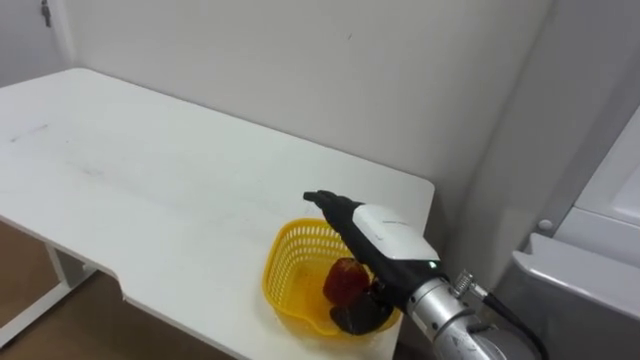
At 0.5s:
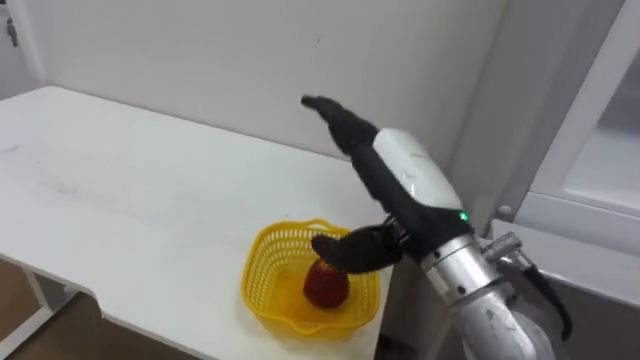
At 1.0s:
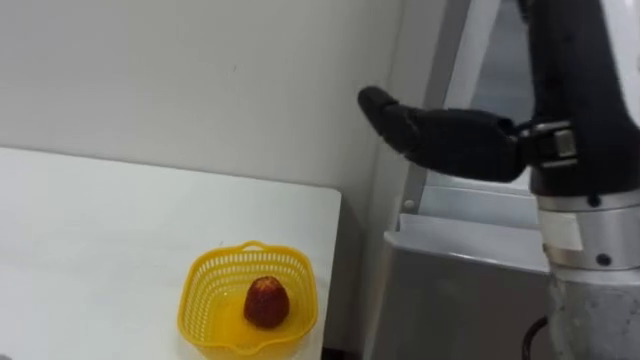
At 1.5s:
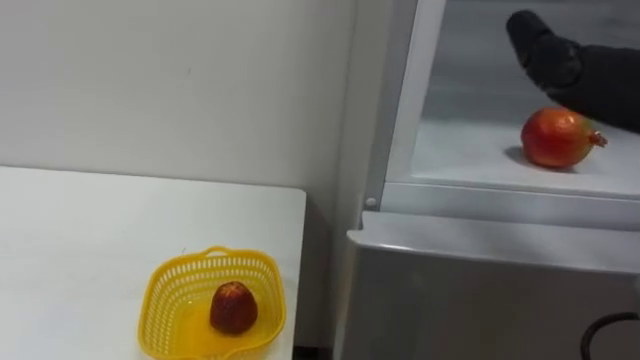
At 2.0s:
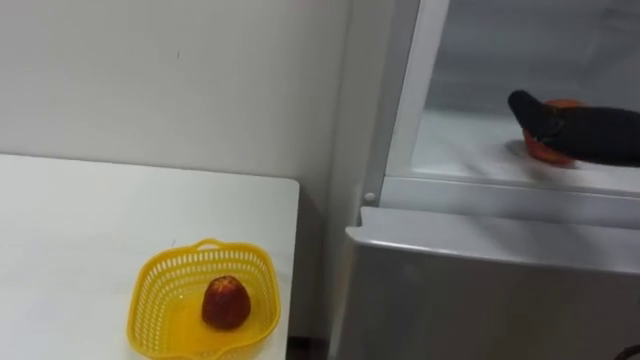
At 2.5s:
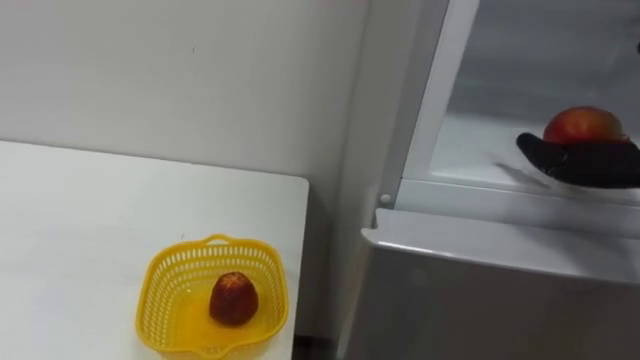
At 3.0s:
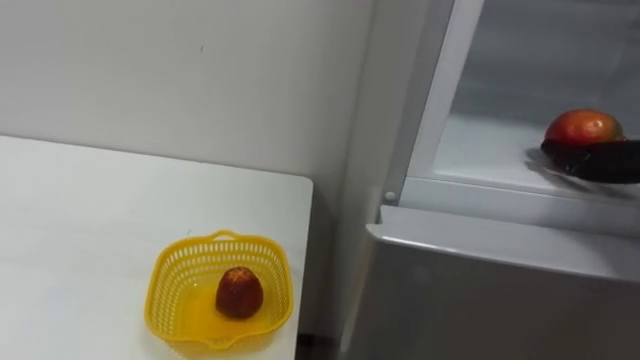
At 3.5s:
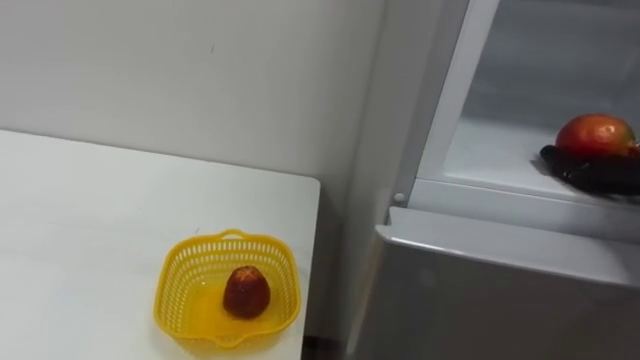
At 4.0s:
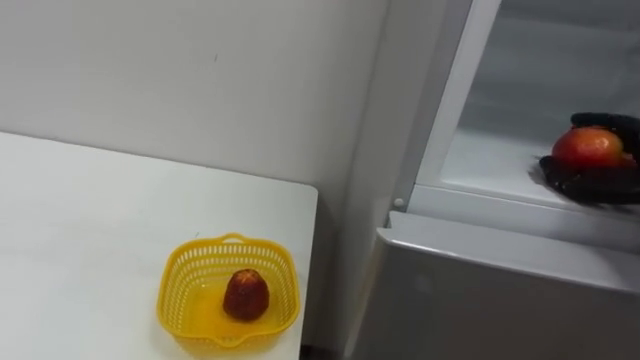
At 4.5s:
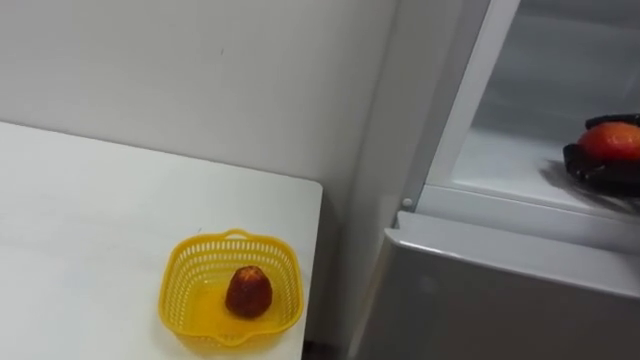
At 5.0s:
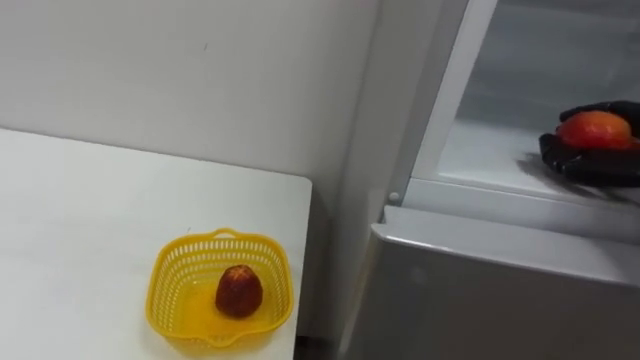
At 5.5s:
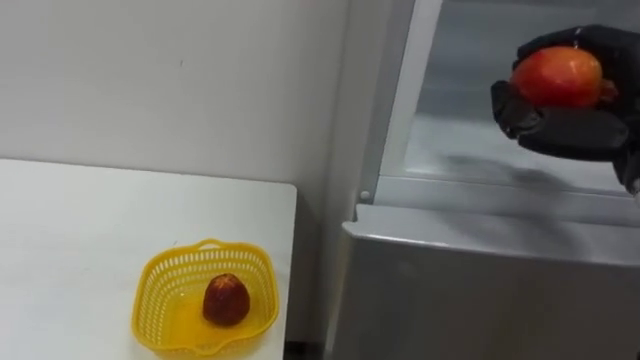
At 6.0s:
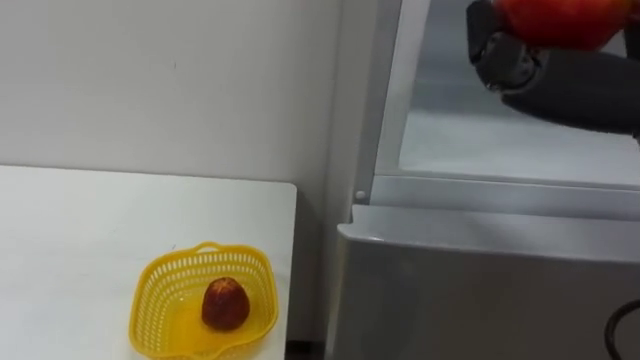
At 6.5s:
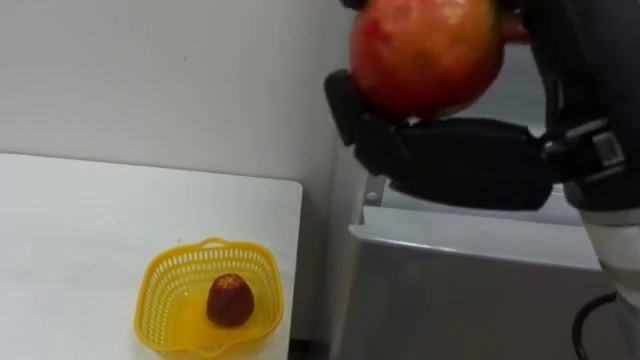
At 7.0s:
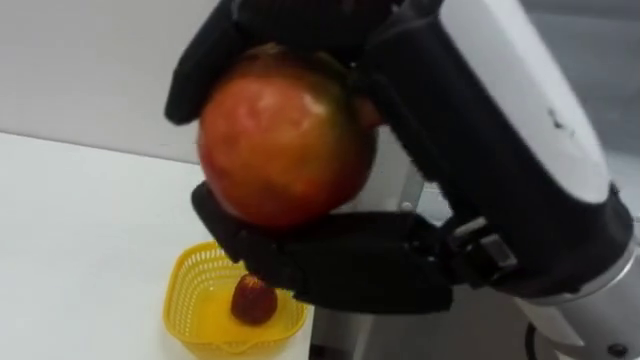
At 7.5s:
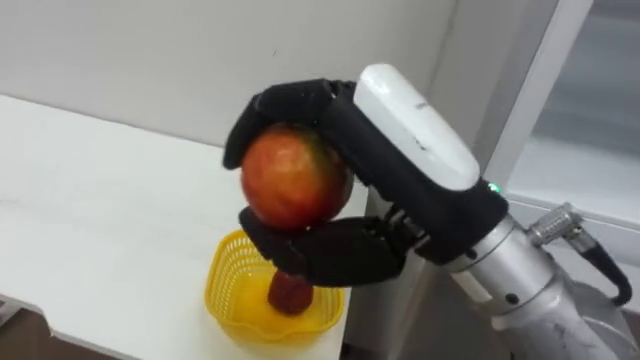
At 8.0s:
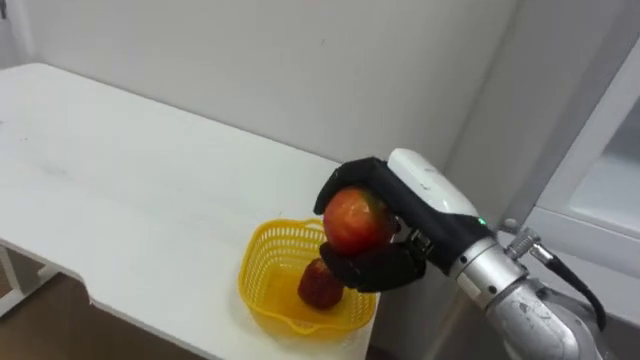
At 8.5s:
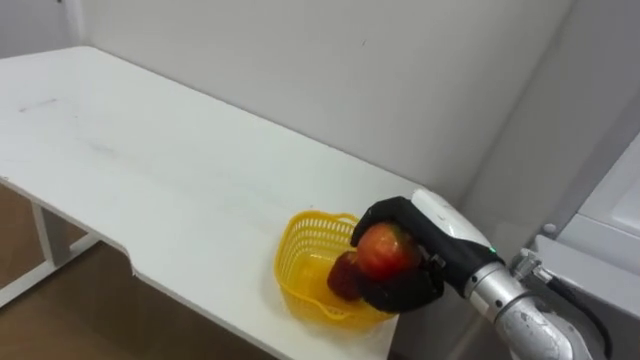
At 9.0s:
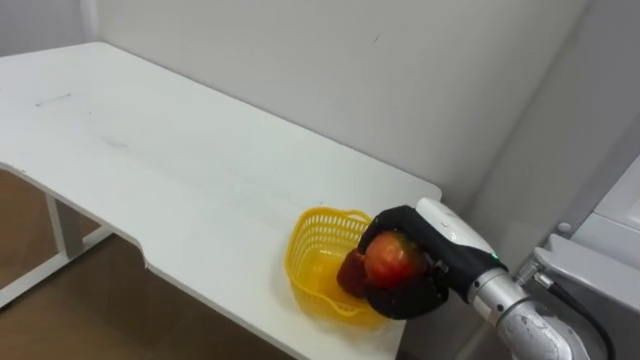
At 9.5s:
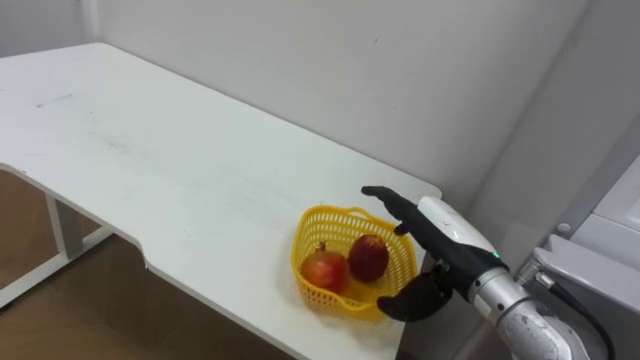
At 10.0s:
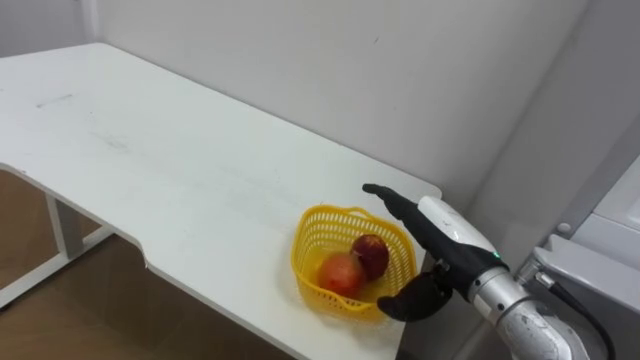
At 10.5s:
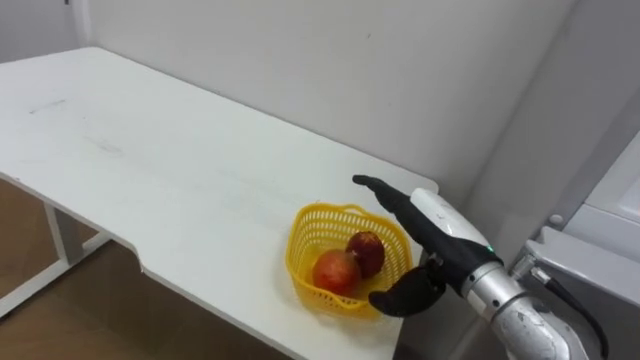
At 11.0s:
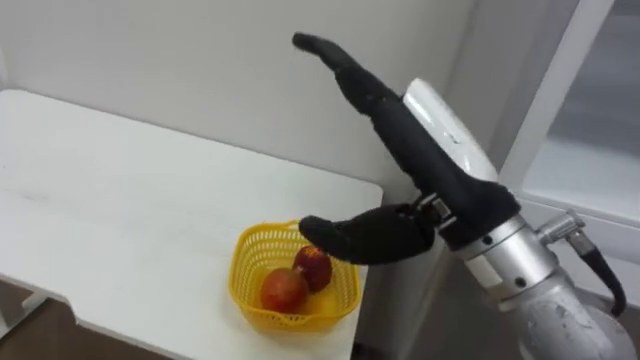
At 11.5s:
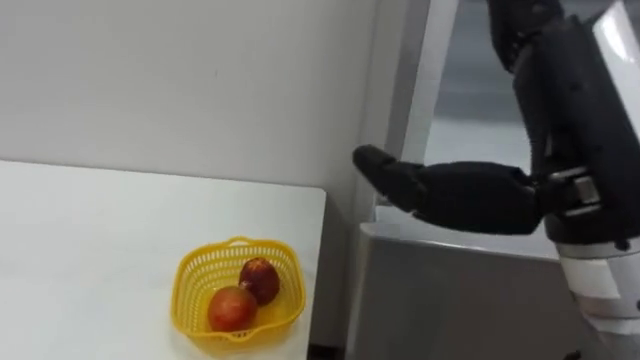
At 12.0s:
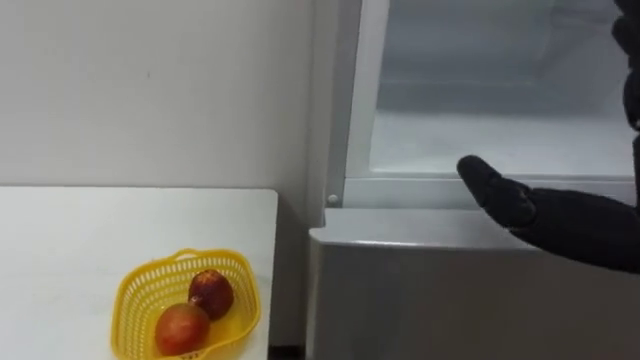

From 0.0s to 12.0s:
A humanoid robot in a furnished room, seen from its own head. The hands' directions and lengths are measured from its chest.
Task of the whole recording: Open the refrigerator door, take out the apple and the pomegranate, place them in the fruit basket on the left, and close the refrigerator door.
From 8.0s to 10.0s: The right hand travels downward by roughly 10 cm, and opens its fingers.

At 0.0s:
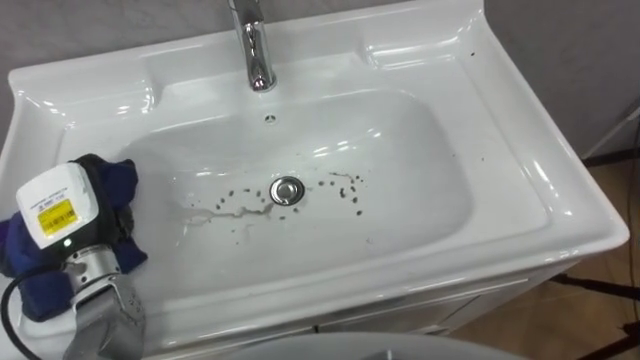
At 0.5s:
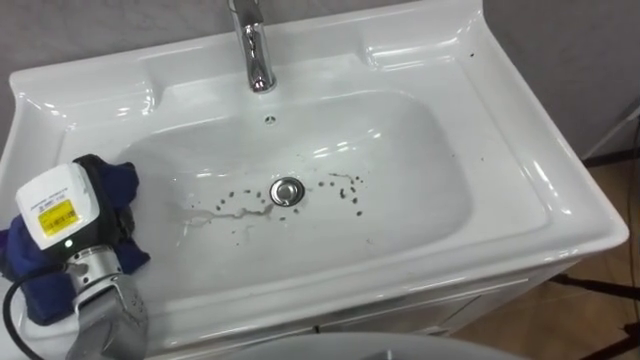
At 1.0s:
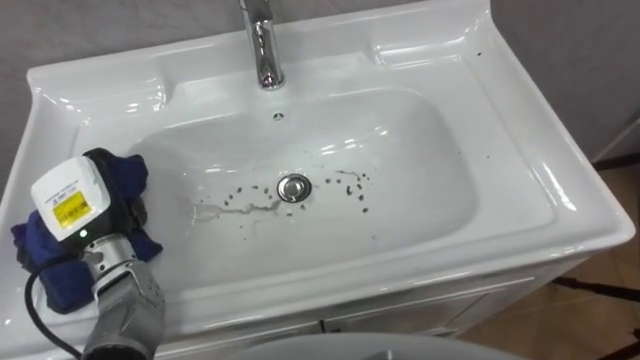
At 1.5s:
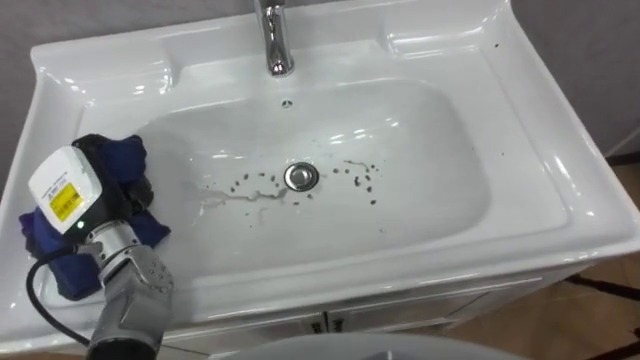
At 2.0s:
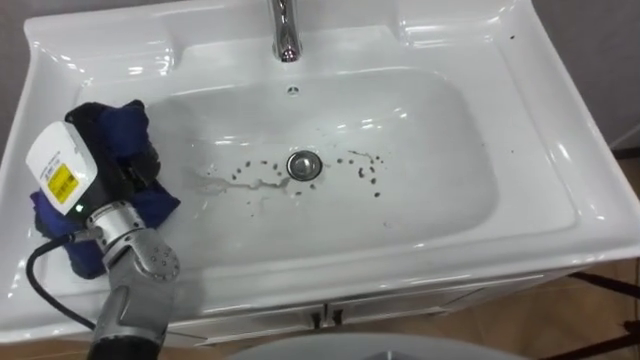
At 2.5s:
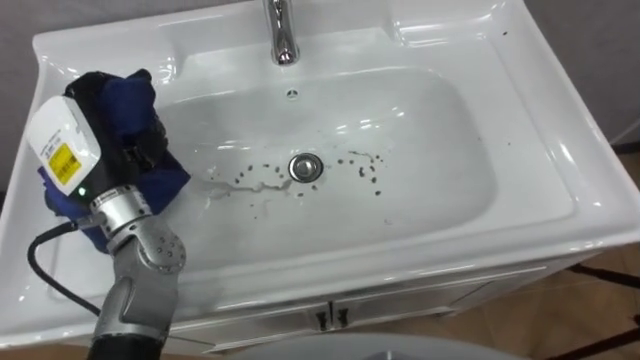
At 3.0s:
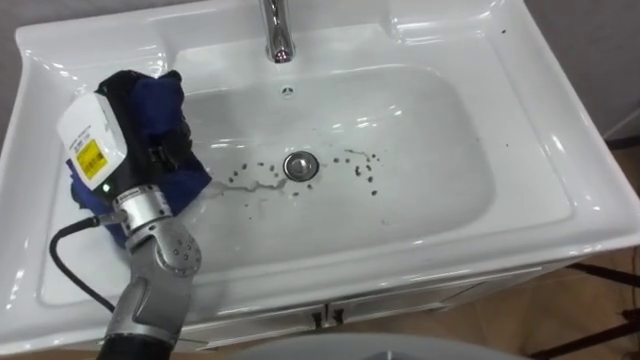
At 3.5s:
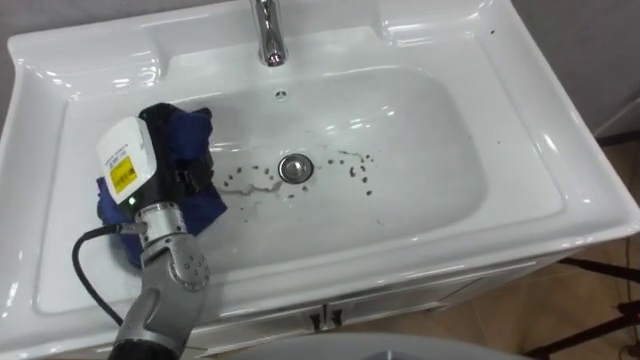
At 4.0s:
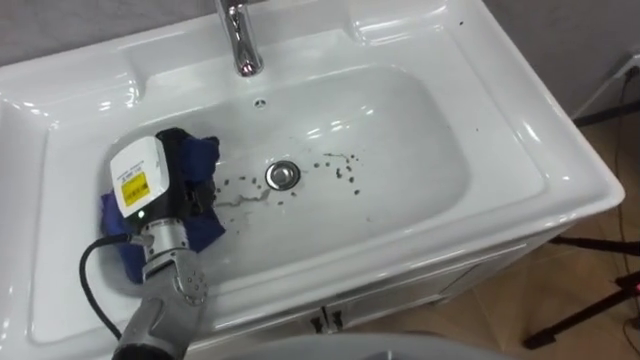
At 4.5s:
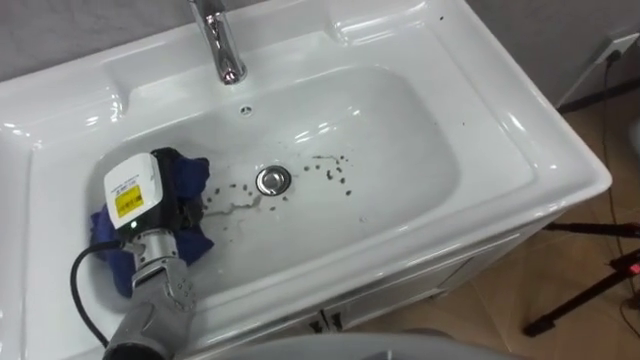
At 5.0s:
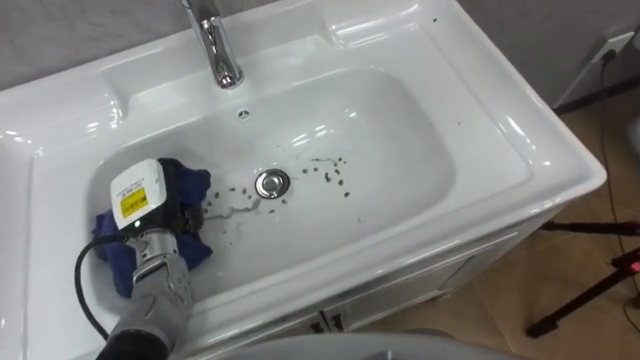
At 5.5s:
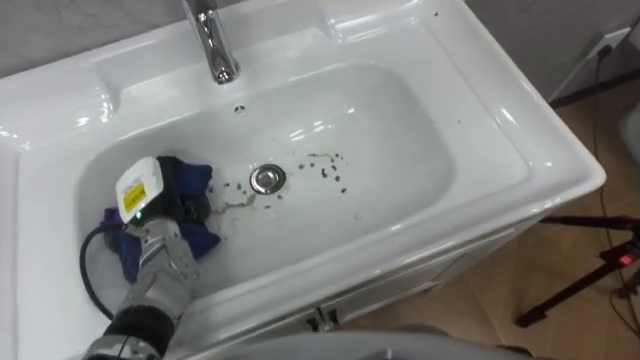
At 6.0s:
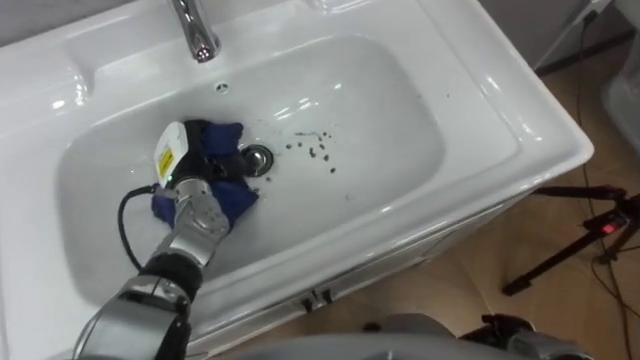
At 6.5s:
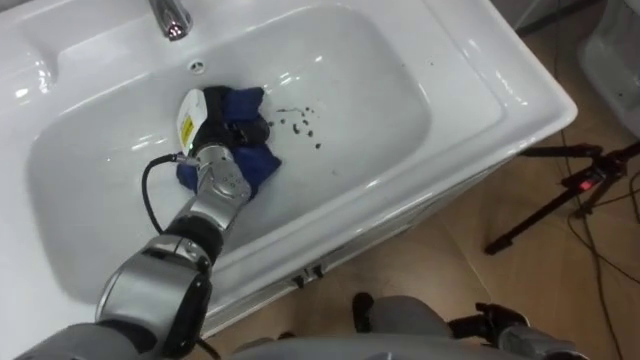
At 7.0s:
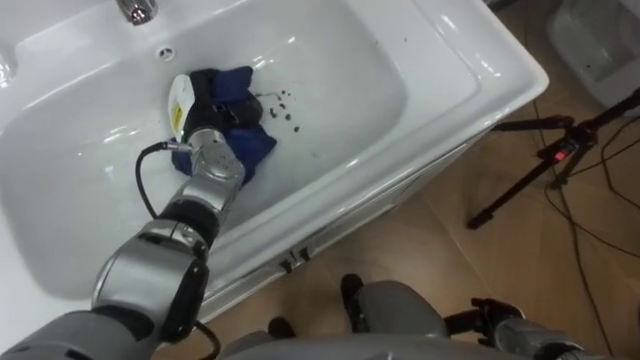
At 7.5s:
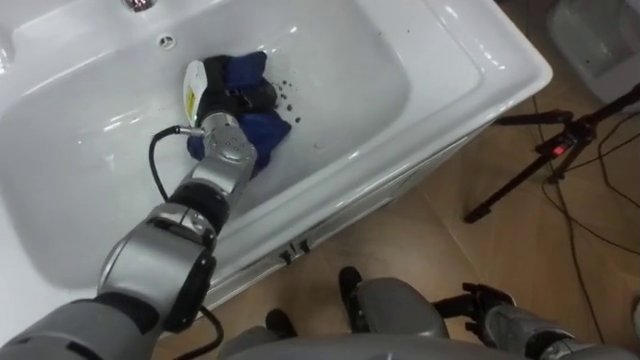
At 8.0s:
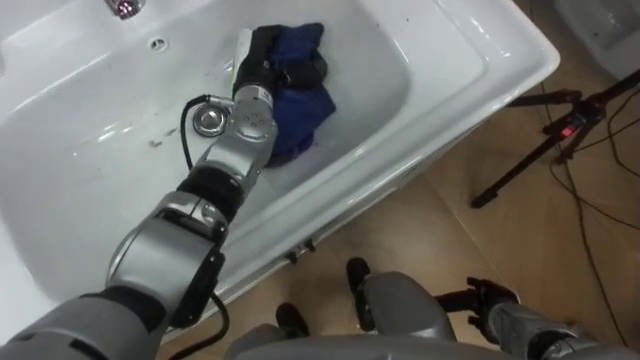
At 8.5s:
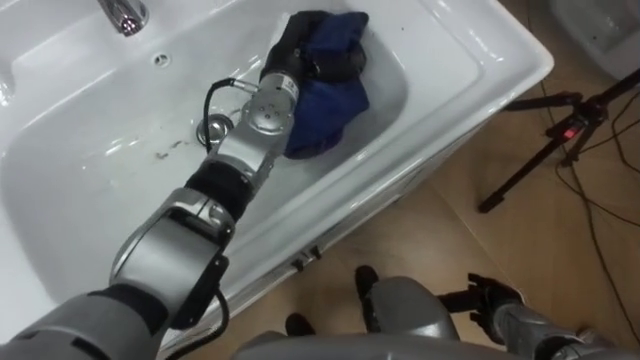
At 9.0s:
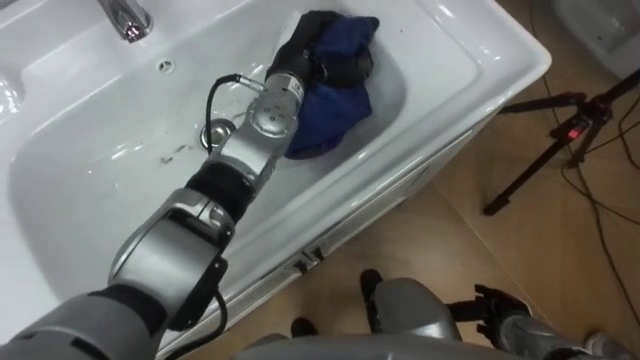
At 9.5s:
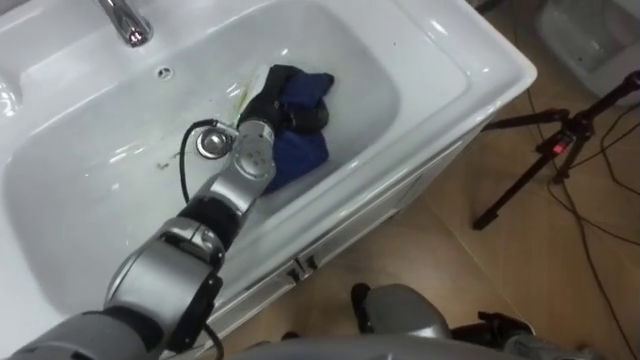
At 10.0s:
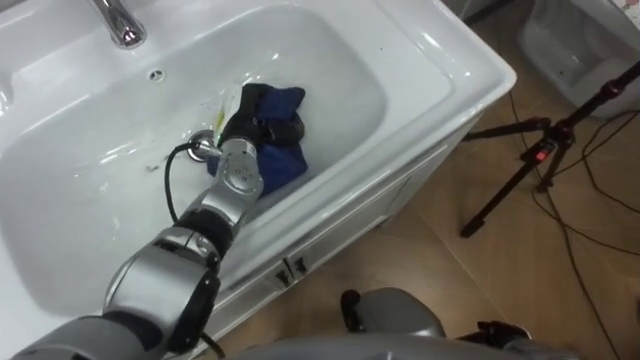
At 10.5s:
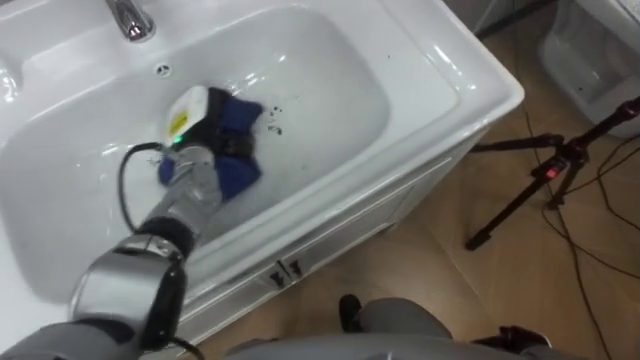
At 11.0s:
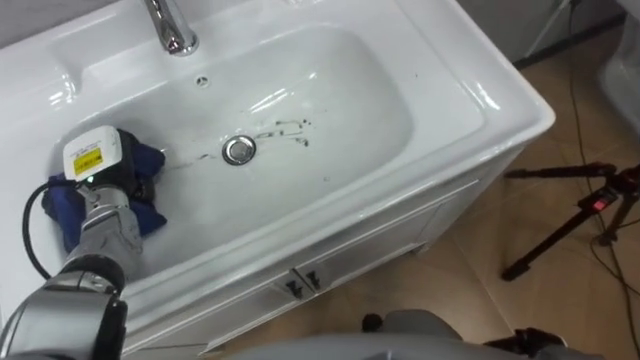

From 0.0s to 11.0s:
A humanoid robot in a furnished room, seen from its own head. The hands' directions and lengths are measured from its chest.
Task of the whole recording: Use the cloth on the right to wipe away the black stain in the sink.
From 0.0s to 2.0s: The left hand heads upward, covering approximately 5 cm.
From 2.0s to 3.5s: The left hand travels to the right by some 5 cm.
From 3.5s to 5.5s: The left hand goes about 10 cm downward.
From 5.5s to 7.5s: The left hand travels forward, to the right and upward by roughly 15 cm.
From 7.5s to 9.0s: The left hand shifts about 15 cm to the right and upward.
From 9.0s to 11.0s: The left hand goes approximately 30 cm to the left.
